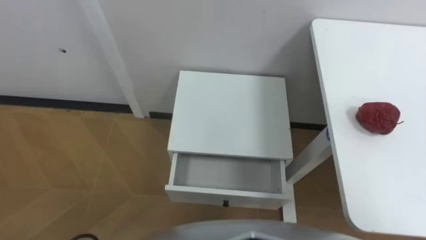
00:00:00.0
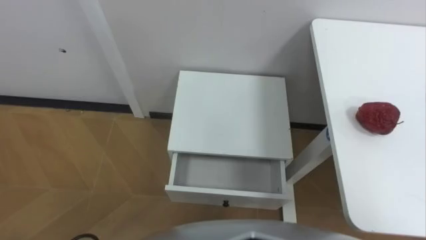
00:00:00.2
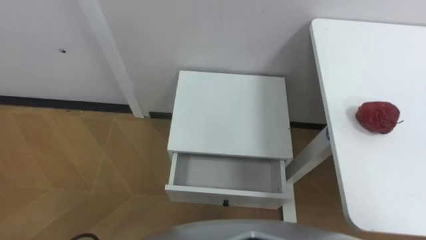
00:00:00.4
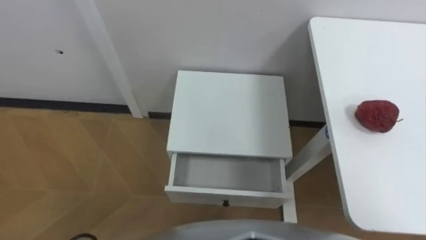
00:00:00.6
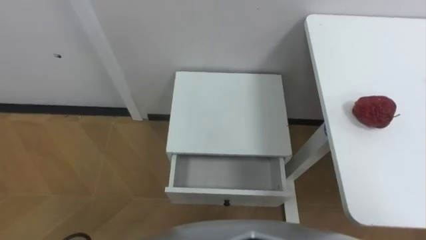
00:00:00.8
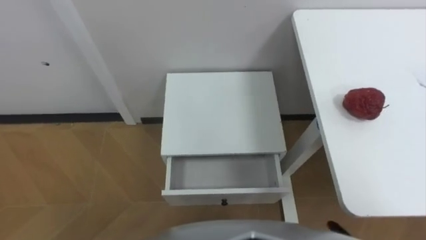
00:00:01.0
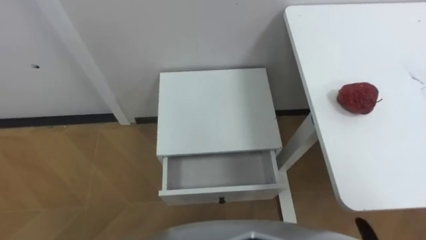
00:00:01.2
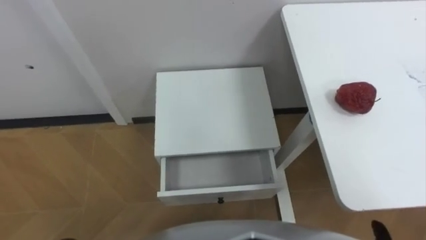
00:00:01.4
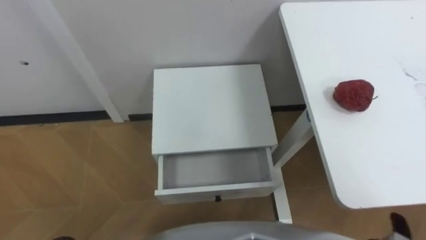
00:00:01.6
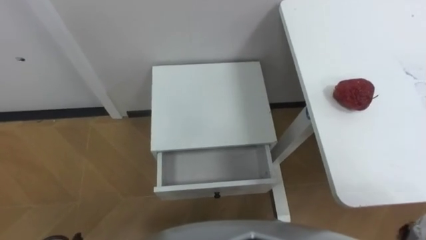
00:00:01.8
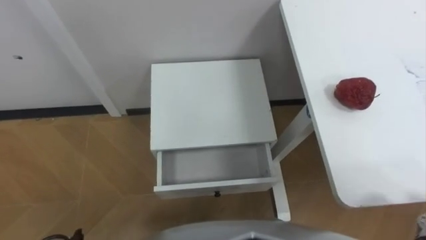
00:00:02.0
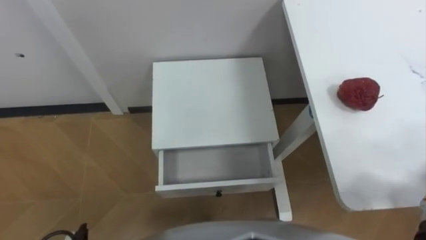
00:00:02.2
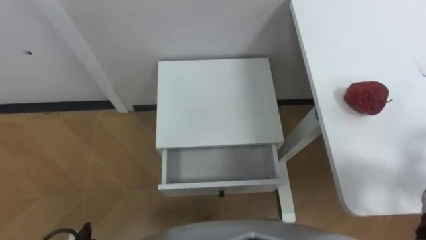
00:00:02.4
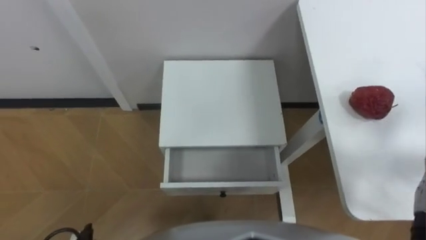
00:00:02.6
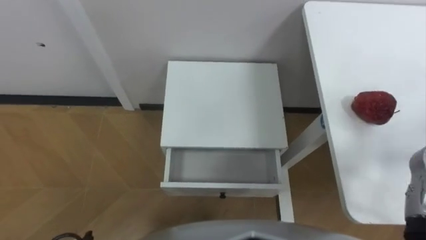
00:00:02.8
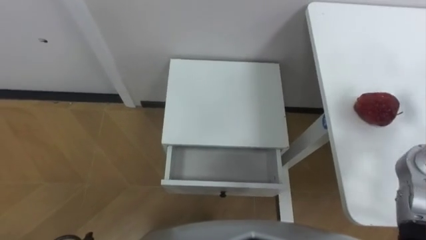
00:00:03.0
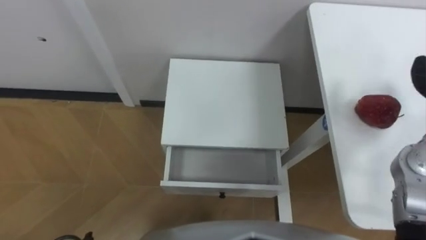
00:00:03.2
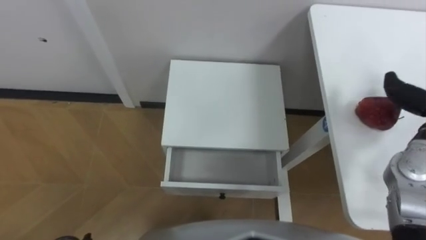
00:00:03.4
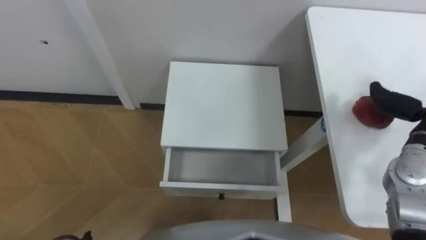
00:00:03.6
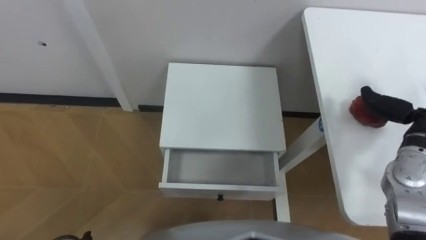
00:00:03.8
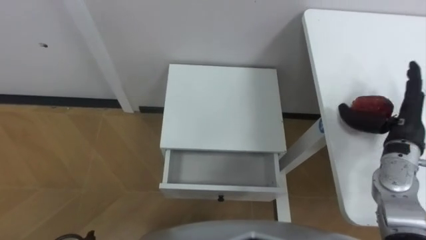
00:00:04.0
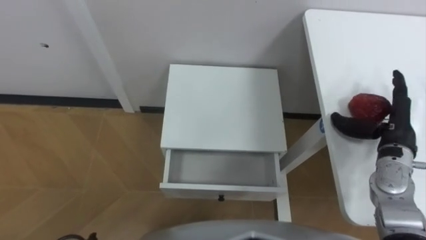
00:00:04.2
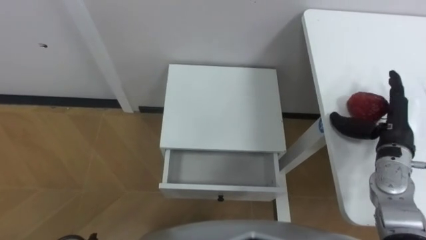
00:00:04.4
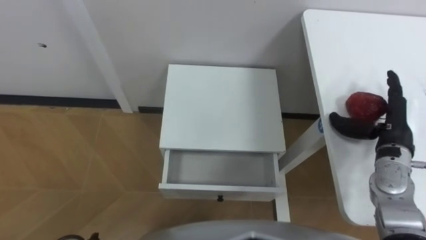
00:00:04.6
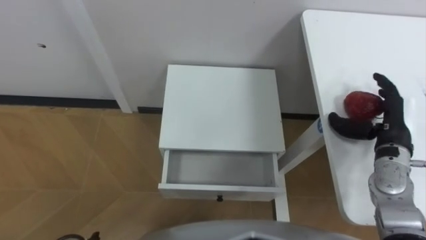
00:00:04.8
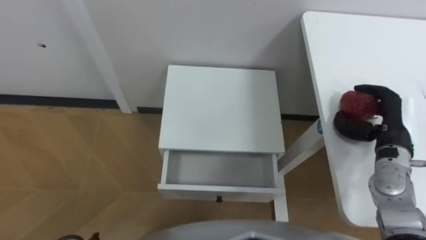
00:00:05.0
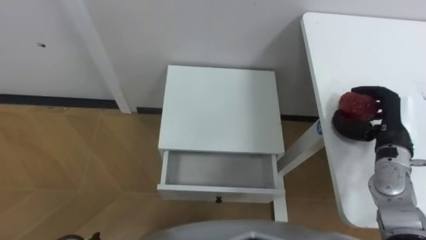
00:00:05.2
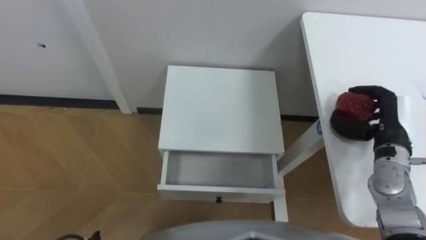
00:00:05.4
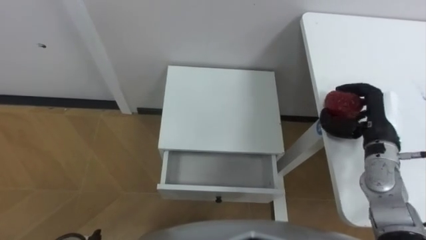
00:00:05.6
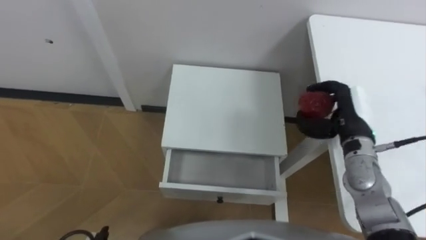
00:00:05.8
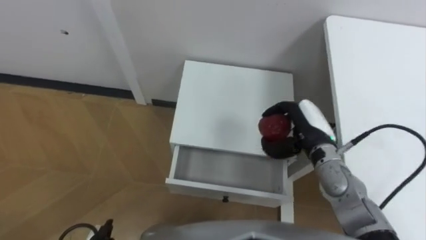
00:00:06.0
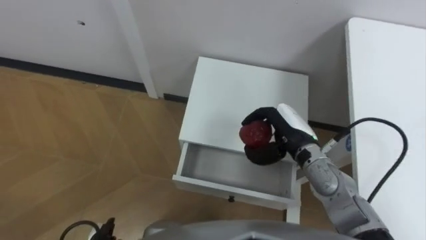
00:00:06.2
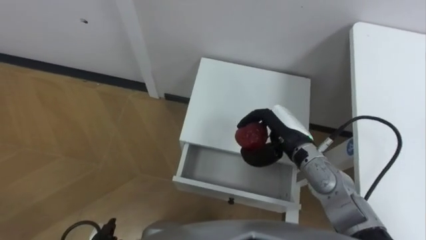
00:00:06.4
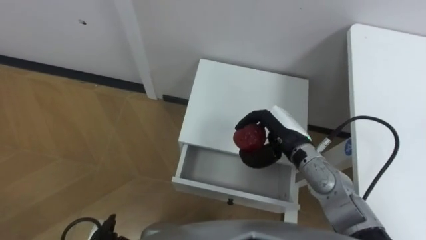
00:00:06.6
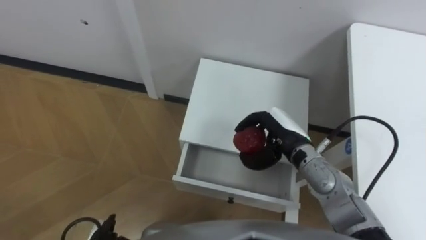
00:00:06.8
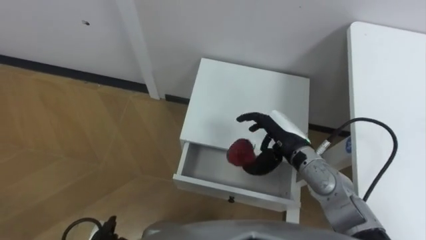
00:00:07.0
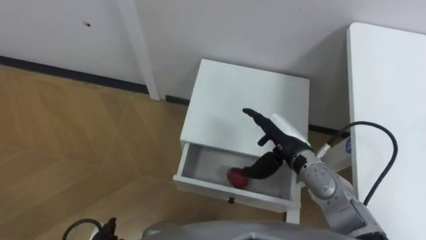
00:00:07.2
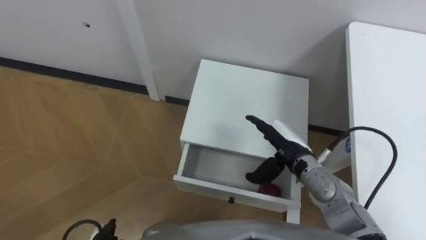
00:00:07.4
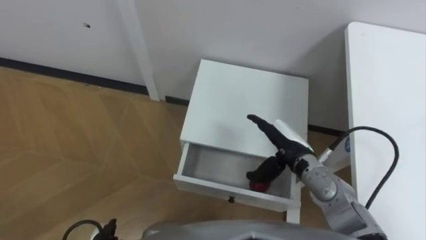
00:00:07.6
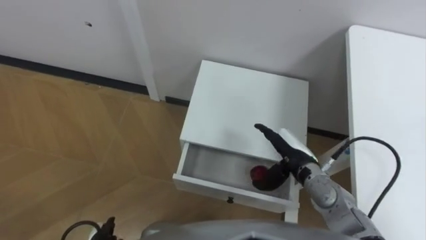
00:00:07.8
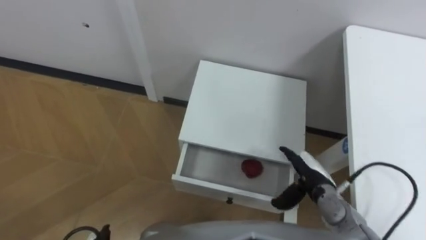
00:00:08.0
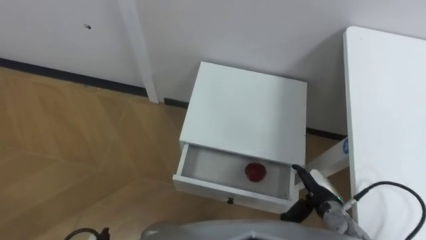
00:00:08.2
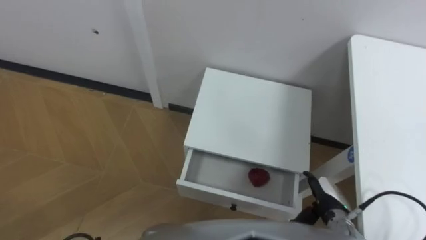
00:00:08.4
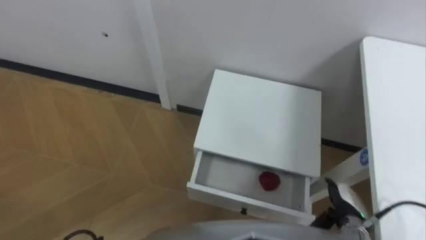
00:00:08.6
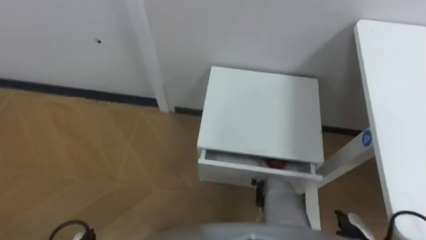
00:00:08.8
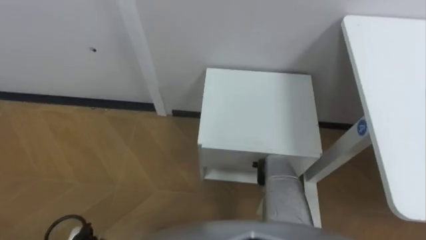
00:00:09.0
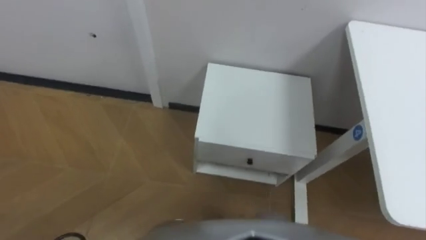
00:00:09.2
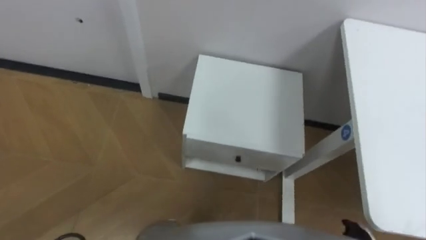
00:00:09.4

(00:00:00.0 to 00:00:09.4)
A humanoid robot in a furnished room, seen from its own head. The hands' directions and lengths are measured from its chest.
Task of the whole recording: Pick up the apple from the table, put it in the drawer, and close the drawer with leg.
00:00:04.8 - 00:00:06.2: The right hand heads to the left, covering about 20 cm, and closes its fingers.
00:00:06.2 - 00:00:07.8: The right hand moves roughly 5 cm, and opens its fingers.

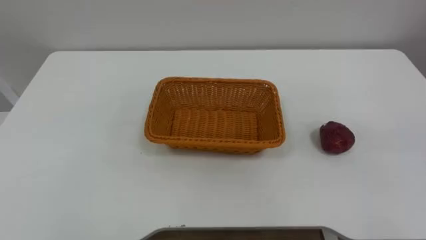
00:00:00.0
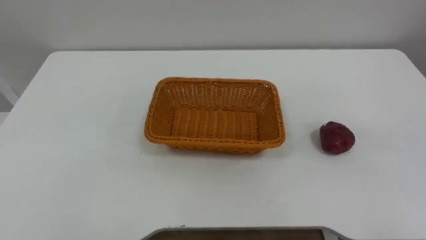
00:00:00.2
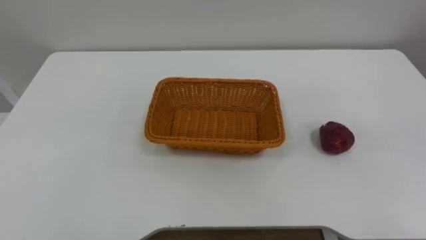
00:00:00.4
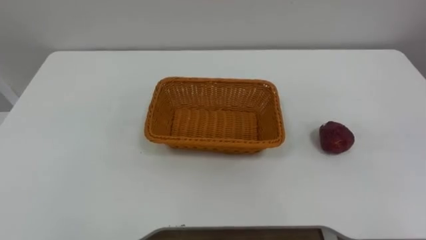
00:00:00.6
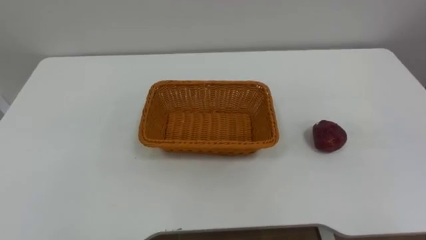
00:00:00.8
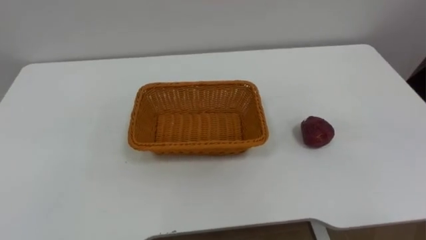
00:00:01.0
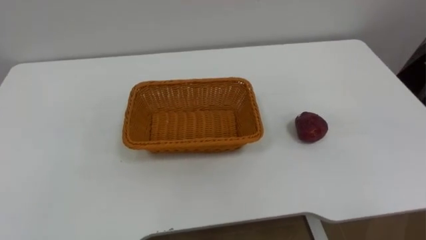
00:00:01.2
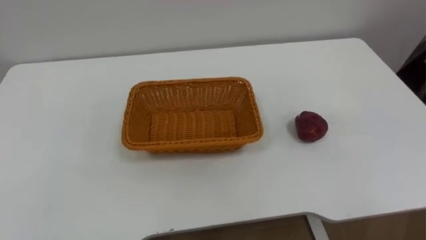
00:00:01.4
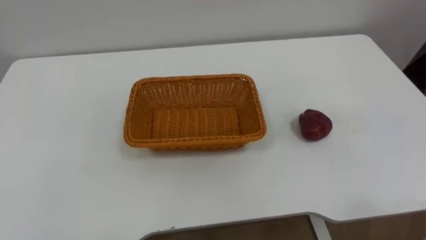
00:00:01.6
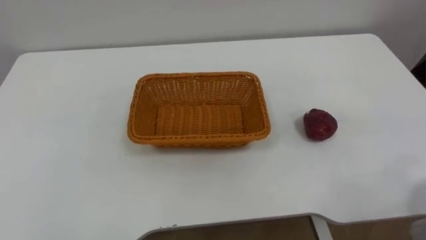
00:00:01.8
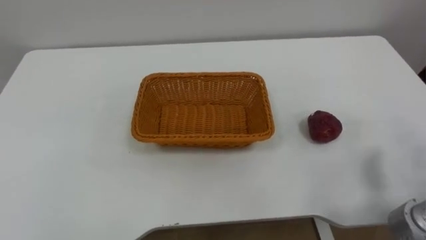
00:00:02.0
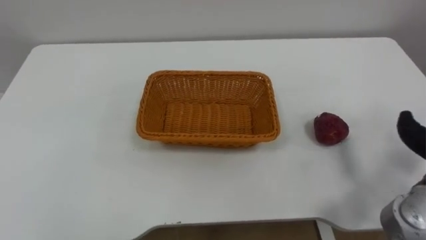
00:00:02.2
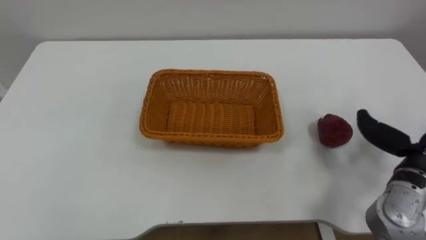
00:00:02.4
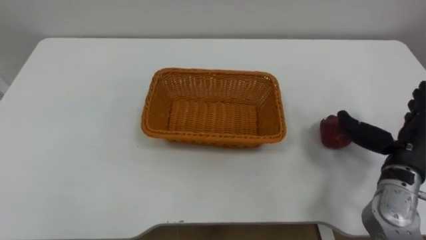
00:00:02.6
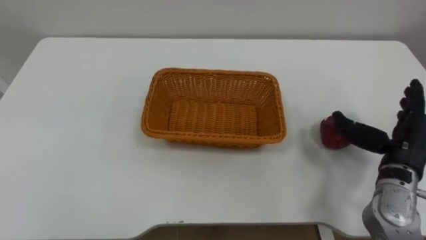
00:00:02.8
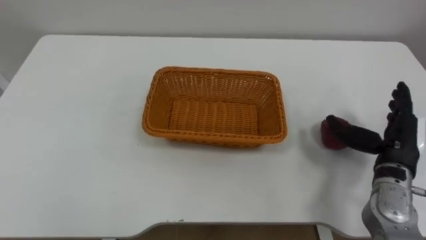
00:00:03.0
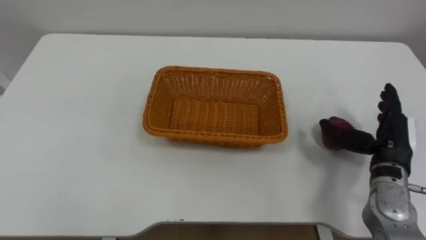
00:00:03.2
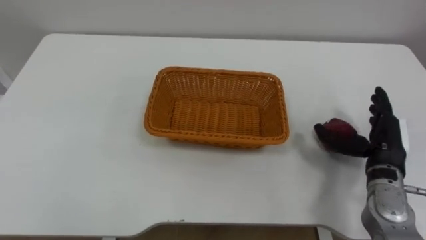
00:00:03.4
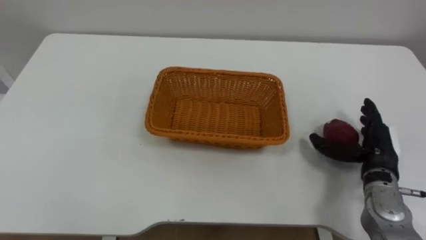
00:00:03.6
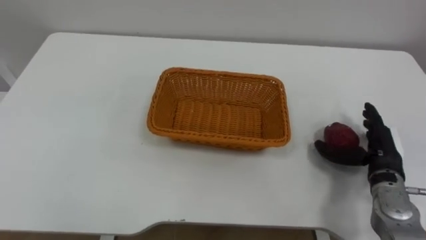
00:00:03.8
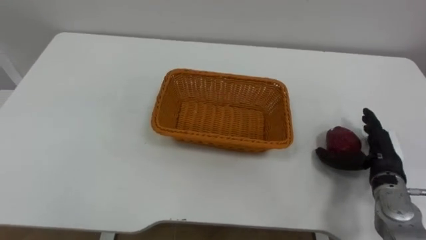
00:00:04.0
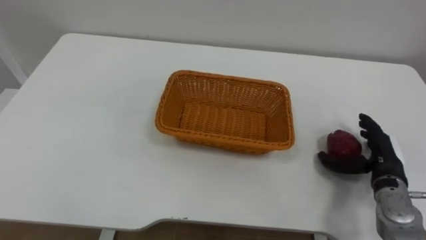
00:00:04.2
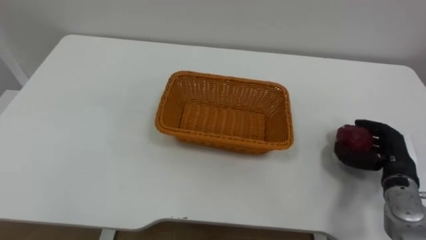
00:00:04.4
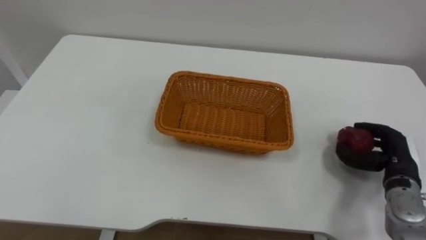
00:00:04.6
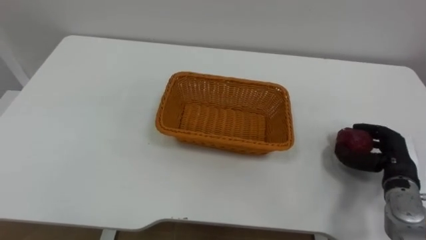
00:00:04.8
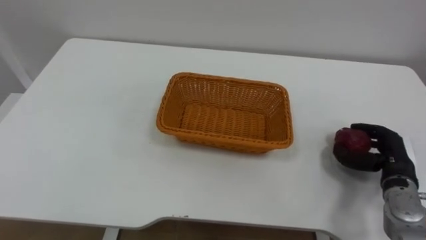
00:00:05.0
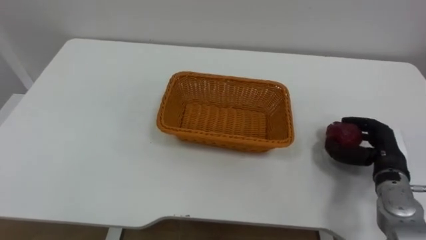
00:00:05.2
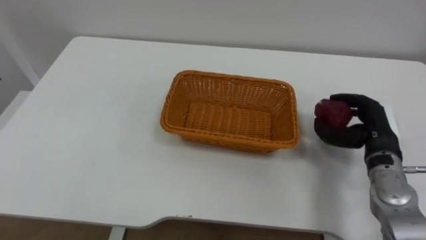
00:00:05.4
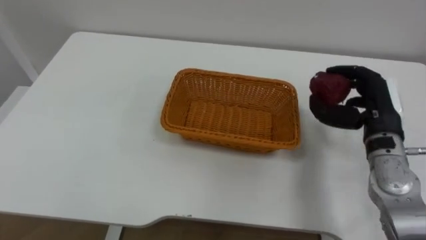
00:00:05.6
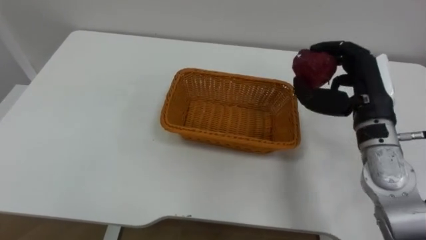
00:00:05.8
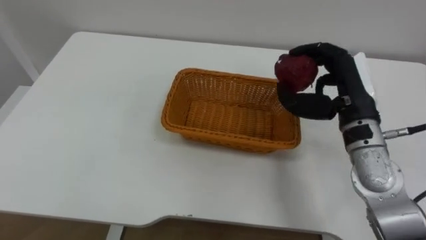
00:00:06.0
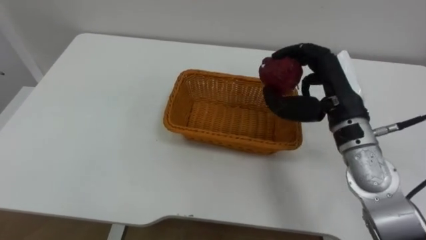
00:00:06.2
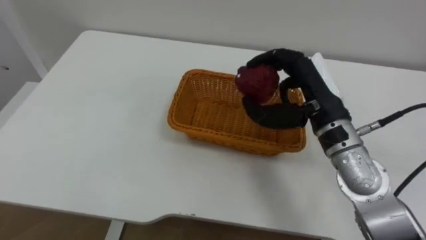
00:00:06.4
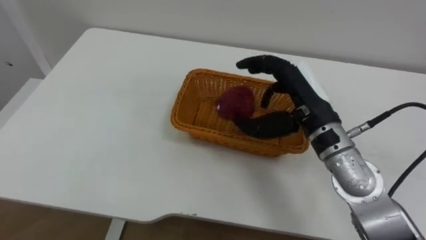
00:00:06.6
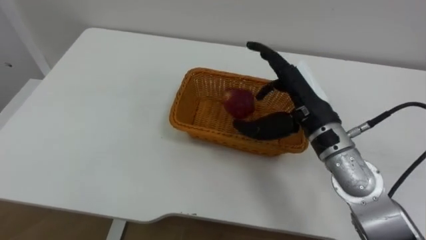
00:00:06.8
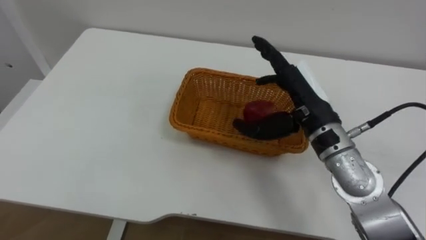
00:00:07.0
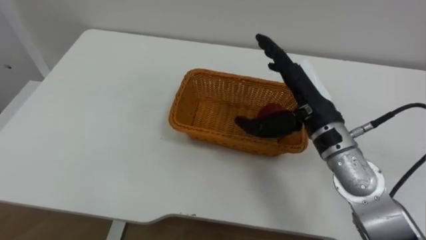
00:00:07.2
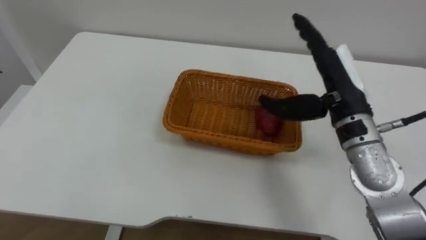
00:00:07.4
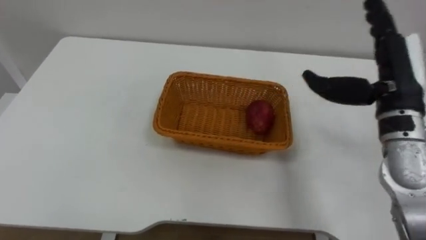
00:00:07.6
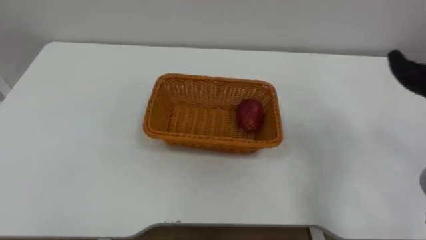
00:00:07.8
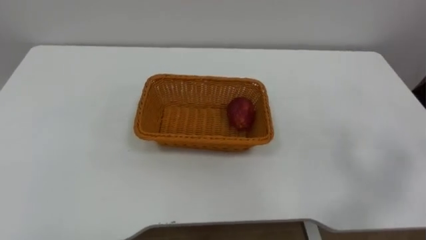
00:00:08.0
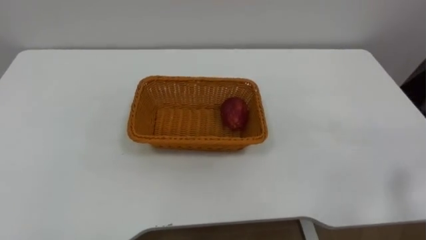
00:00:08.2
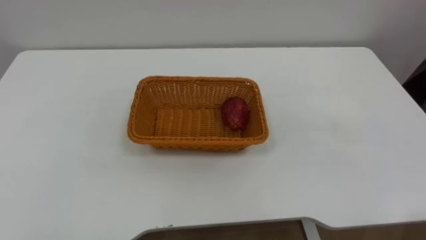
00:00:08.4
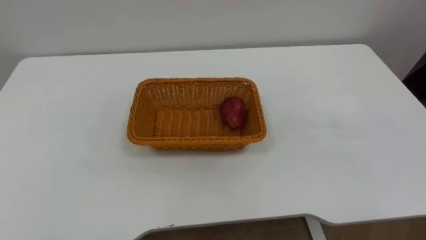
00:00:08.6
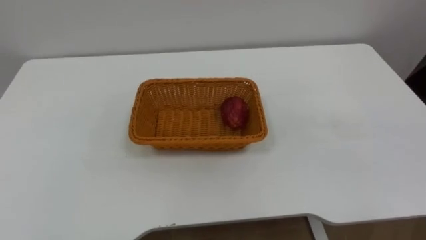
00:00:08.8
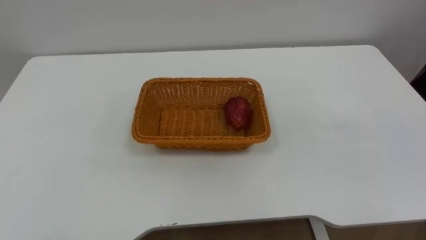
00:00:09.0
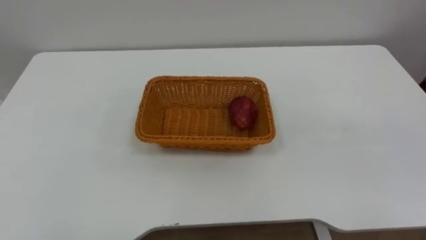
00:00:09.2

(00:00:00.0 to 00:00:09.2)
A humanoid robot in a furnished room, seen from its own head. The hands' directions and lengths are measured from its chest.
Task of the whole recording: Pick the apple and place it in the box.
00:00:03.0 - 00:00:04.6: The right hand heads downward, covering approximately 5 cm, and closes.
00:00:04.6 - 00:00:06.2: The right hand shifts some 20 cm upward and to the left.
00:00:06.2 - 00:00:07.6: The right hand shifts some 5 cm to the right, and opens up.
